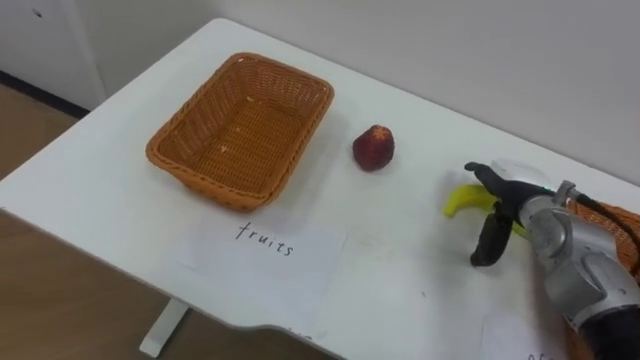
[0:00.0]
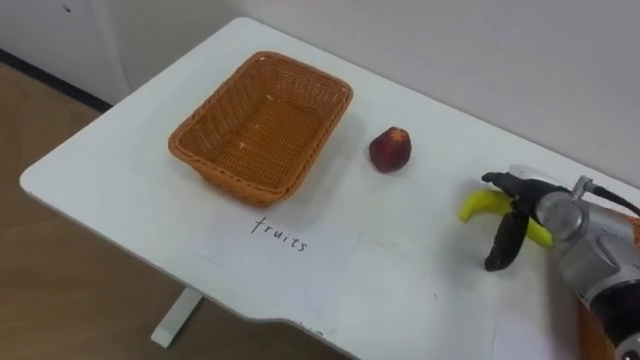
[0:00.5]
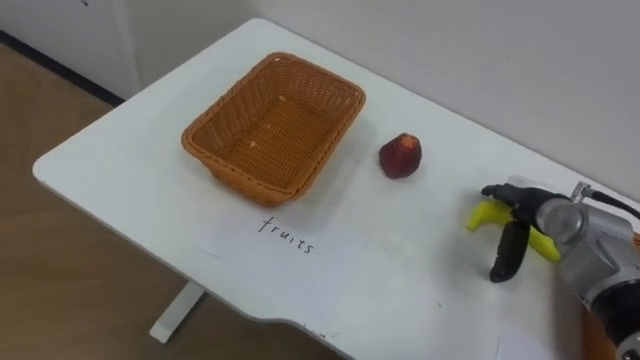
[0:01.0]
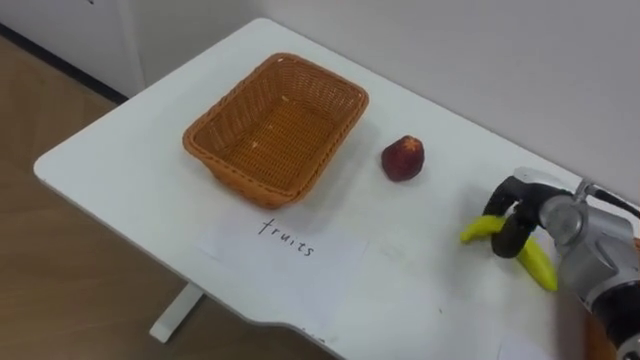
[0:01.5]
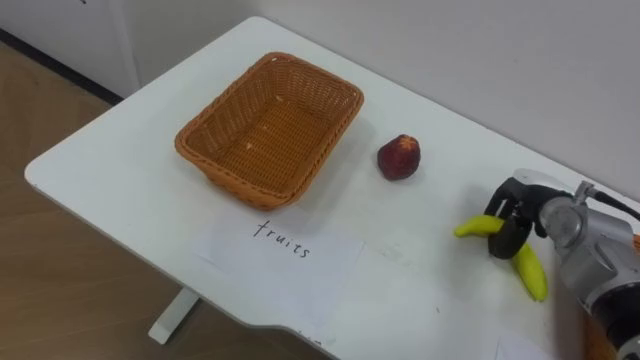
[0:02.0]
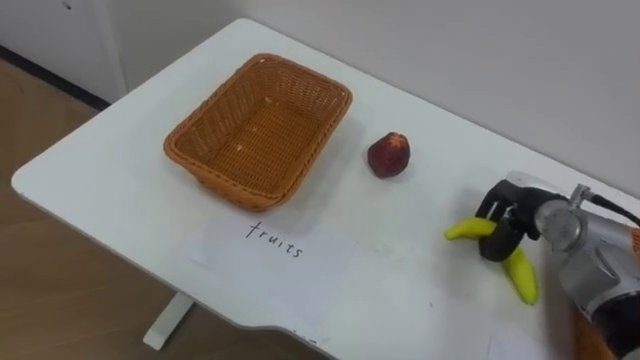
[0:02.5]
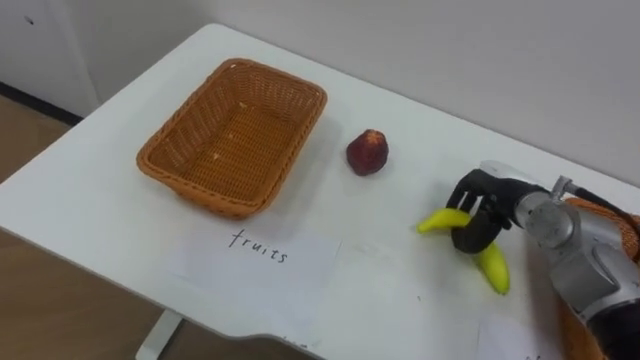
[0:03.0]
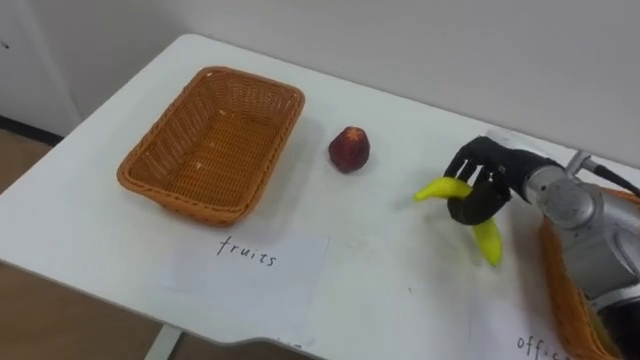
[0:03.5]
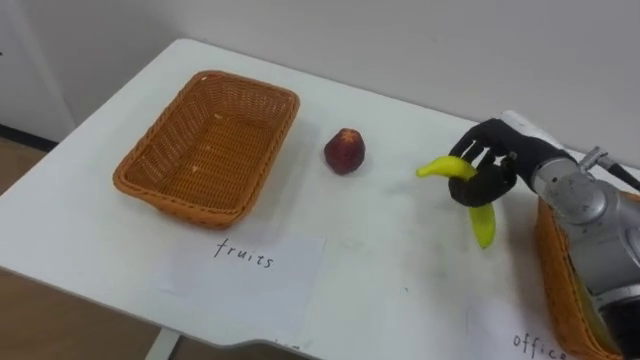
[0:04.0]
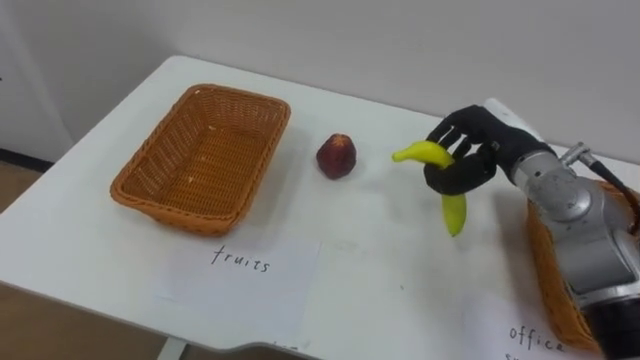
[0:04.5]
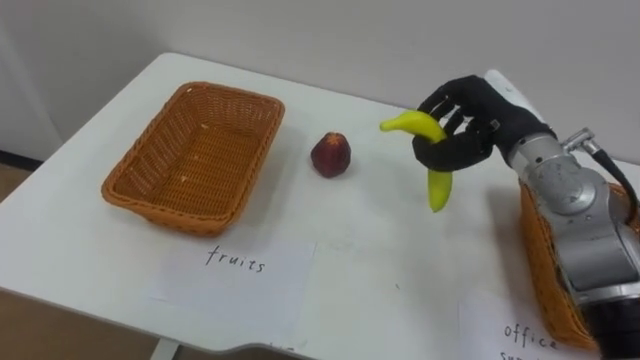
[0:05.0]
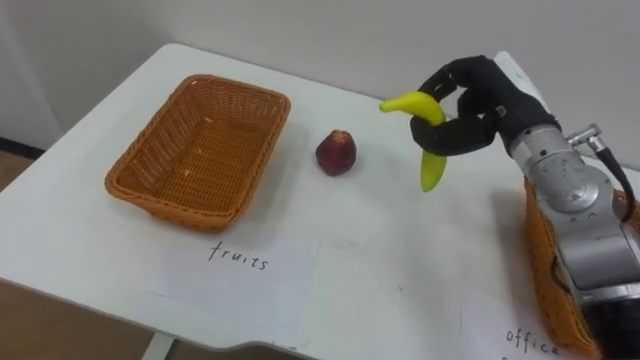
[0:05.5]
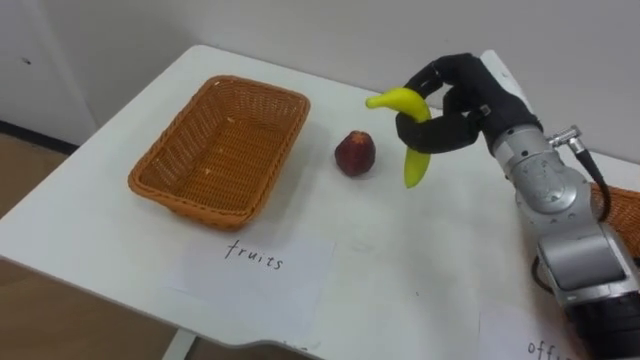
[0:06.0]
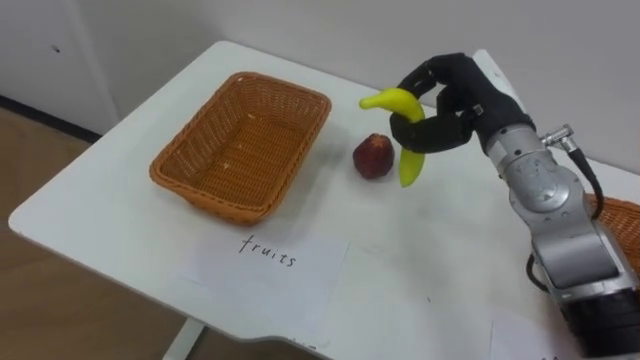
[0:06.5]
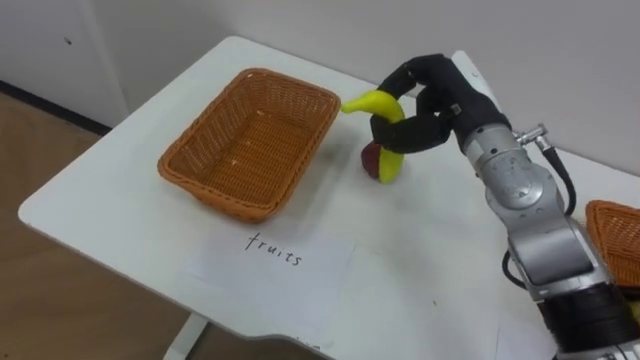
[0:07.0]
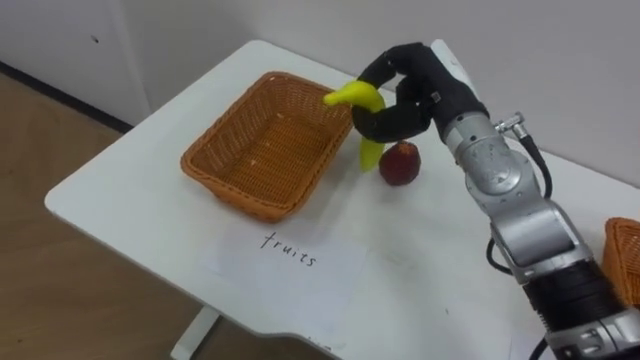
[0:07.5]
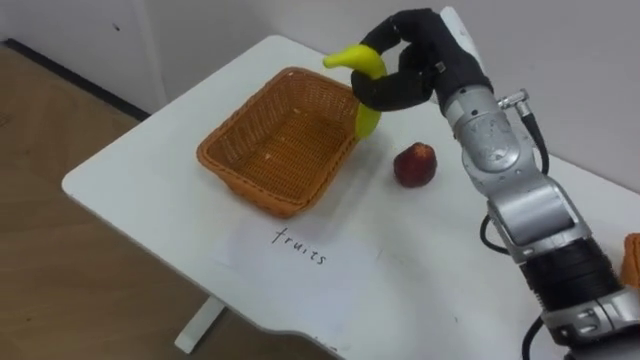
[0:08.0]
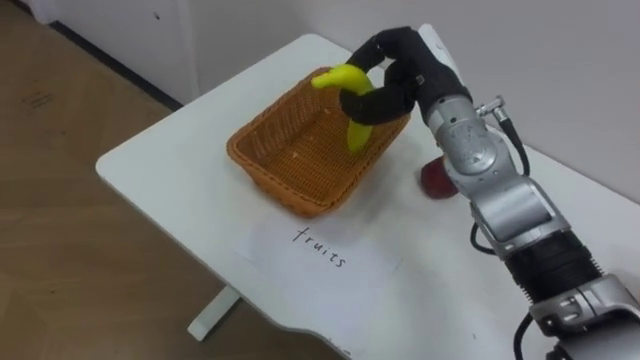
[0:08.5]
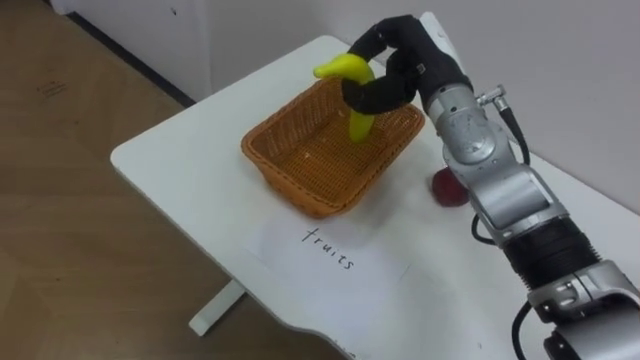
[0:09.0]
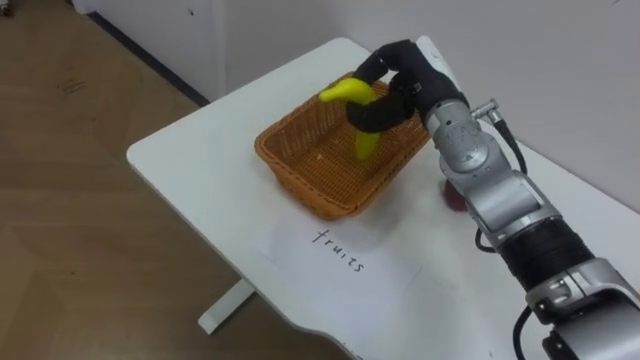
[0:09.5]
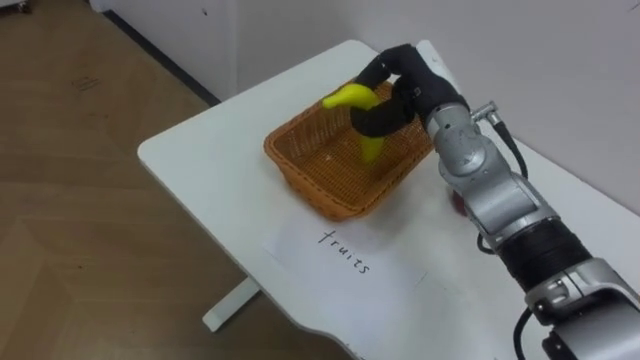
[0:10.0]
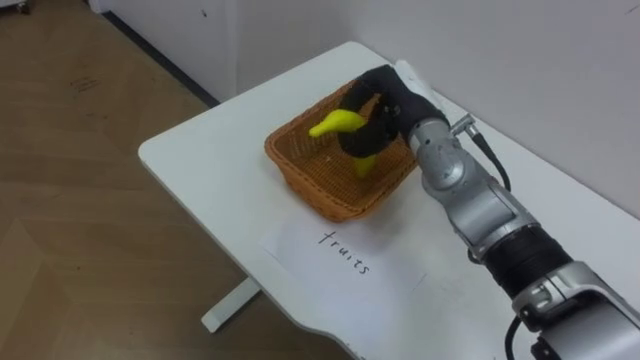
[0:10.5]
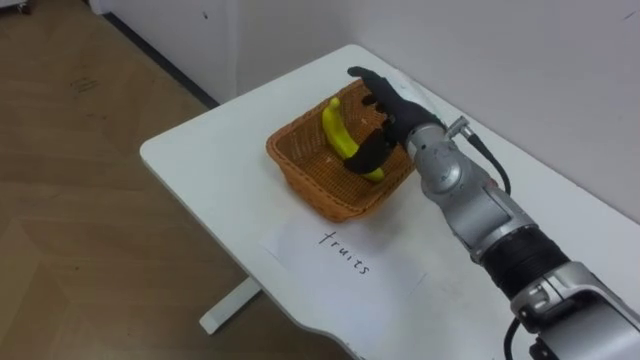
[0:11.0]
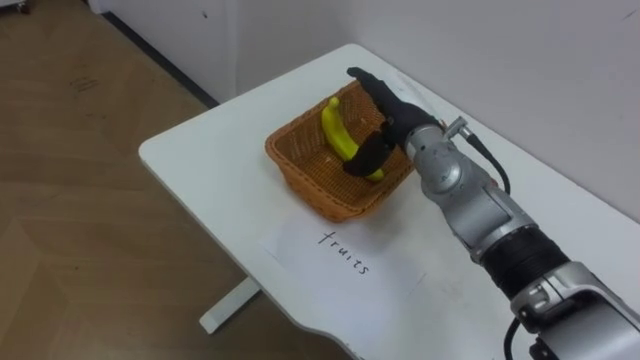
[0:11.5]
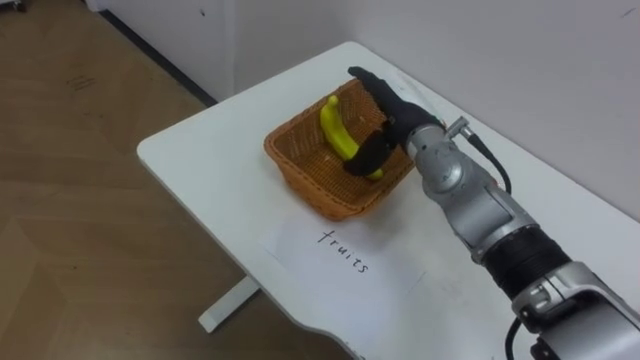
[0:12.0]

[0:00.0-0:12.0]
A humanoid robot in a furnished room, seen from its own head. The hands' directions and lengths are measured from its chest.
Task of the whole recording: Separate the items on the table and place them into the two baskets.
0:00.0 to 0:02.0: The right hand closes.
0:02.0 to 0:04.0: The right hand travels upward by some 10 cm.
0:04.0 to 0:06.0: The right hand shifts some 10 cm upward and to the left.
0:06.0 to 0:08.0: The right hand heads to the left, covering some 5 cm.
0:08.0 to 0:10.0: The right hand shifts by about 5 cm.
0:10.0 to 0:12.0: The right hand opens up.

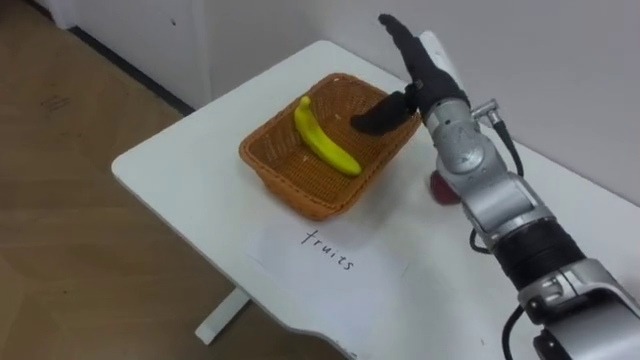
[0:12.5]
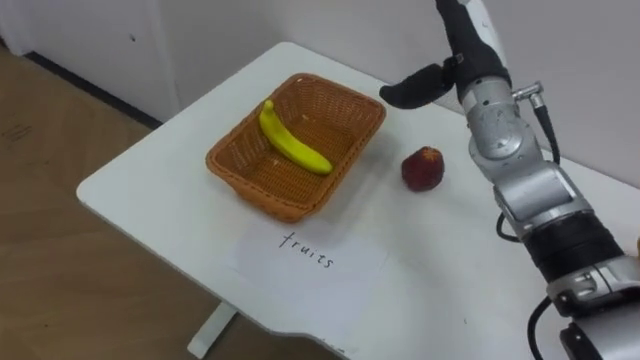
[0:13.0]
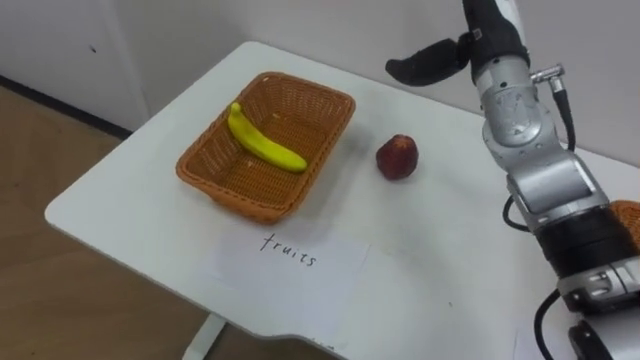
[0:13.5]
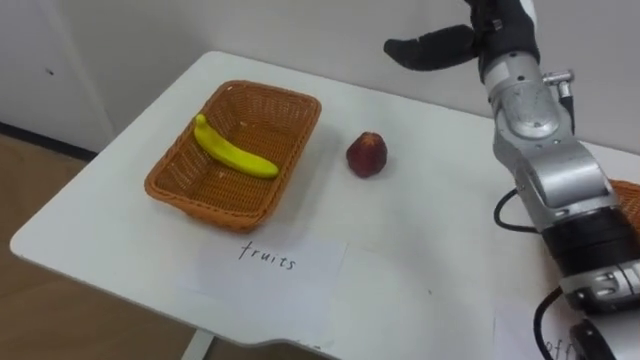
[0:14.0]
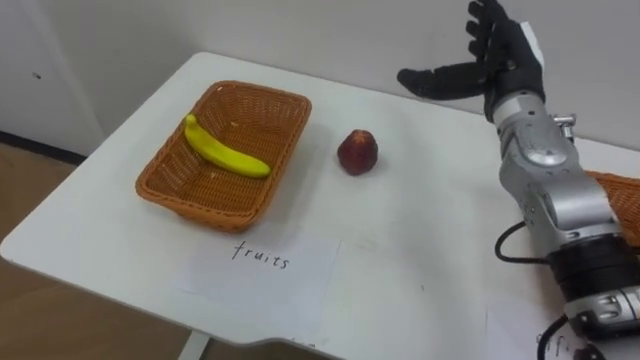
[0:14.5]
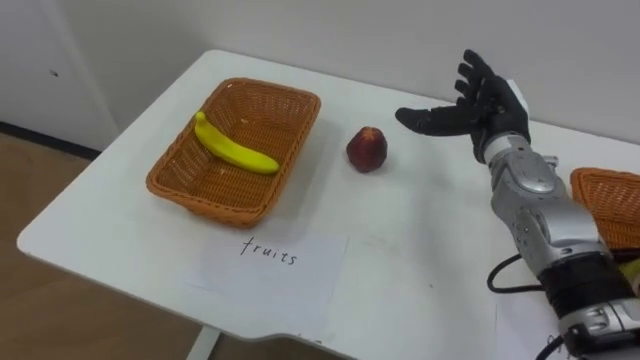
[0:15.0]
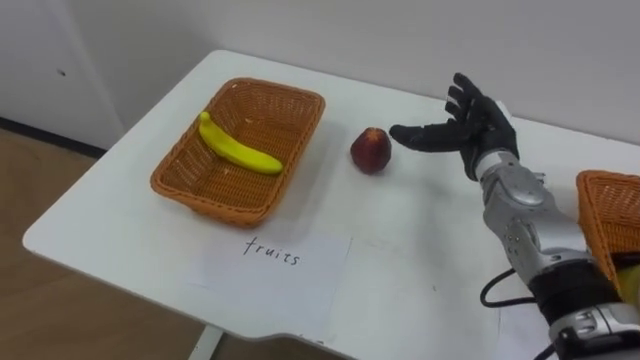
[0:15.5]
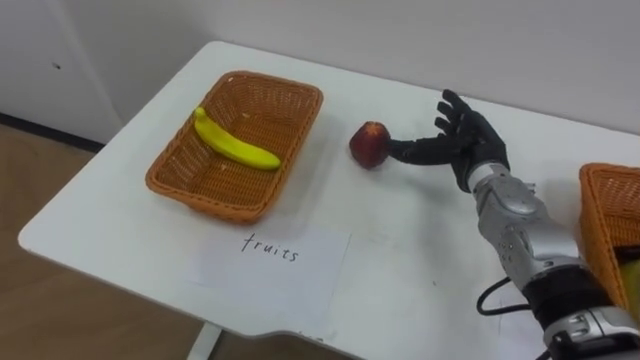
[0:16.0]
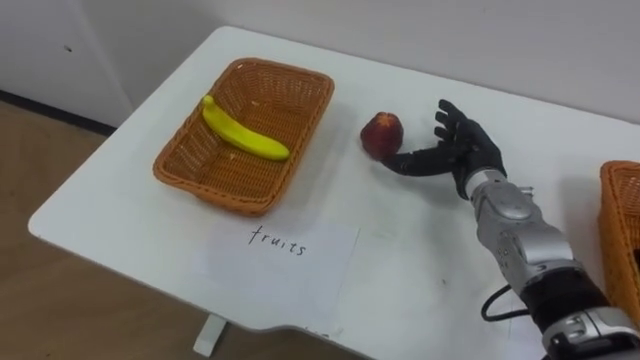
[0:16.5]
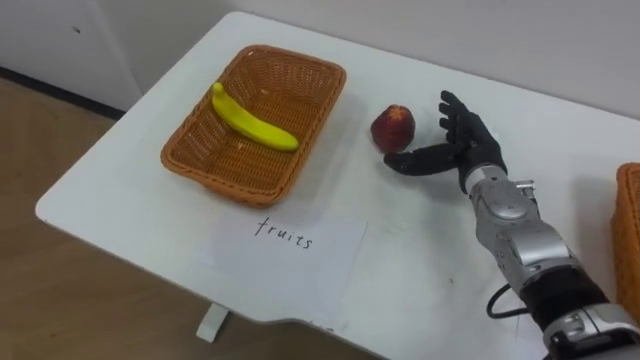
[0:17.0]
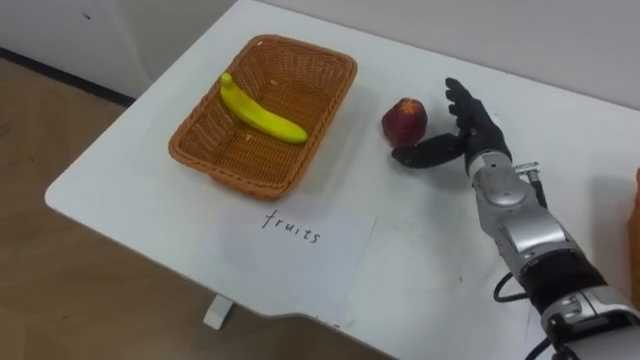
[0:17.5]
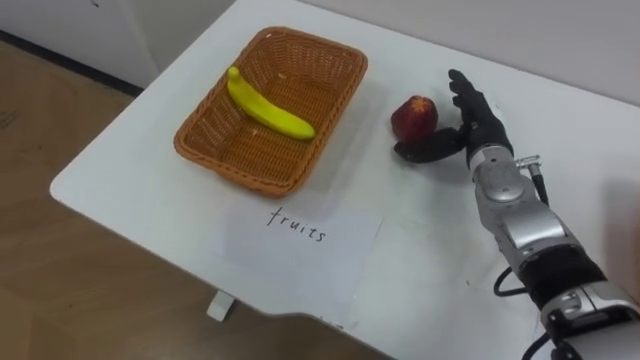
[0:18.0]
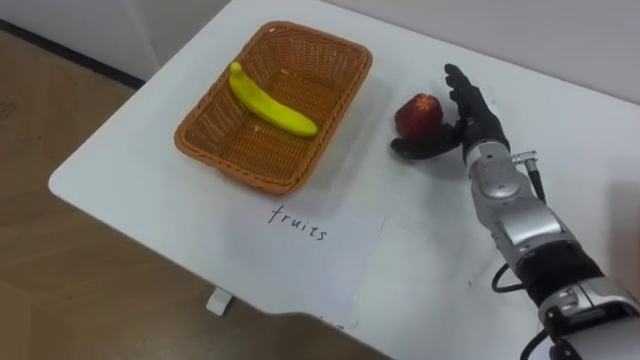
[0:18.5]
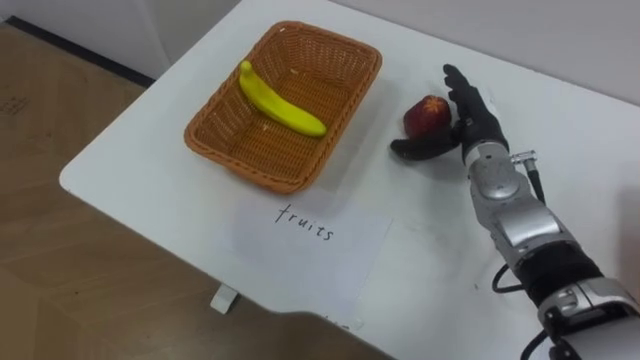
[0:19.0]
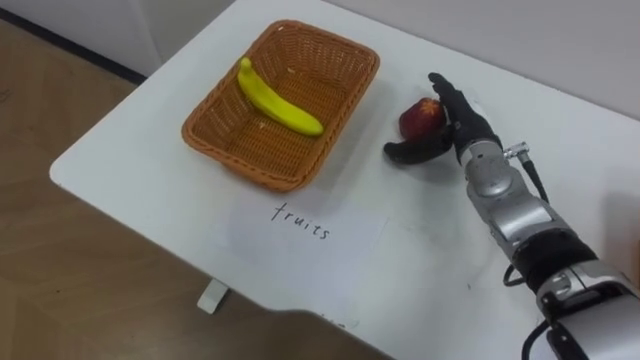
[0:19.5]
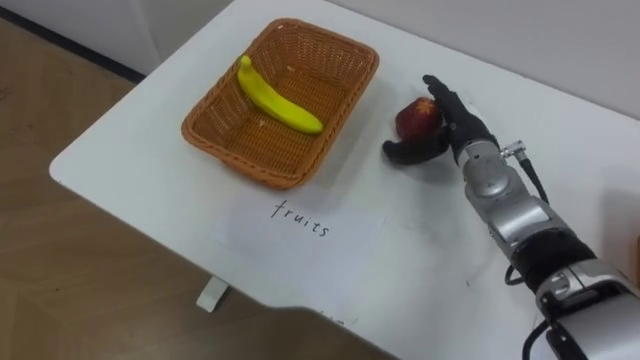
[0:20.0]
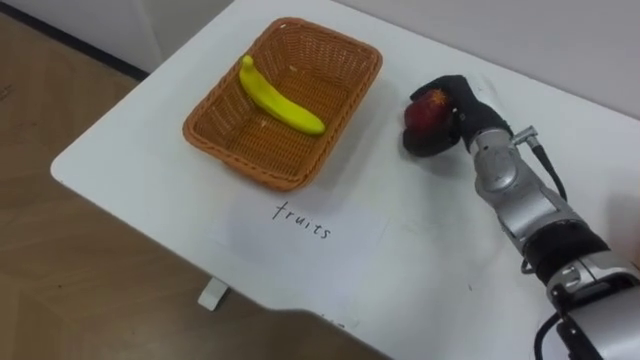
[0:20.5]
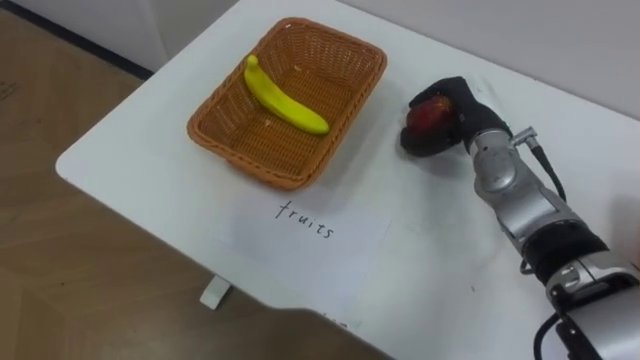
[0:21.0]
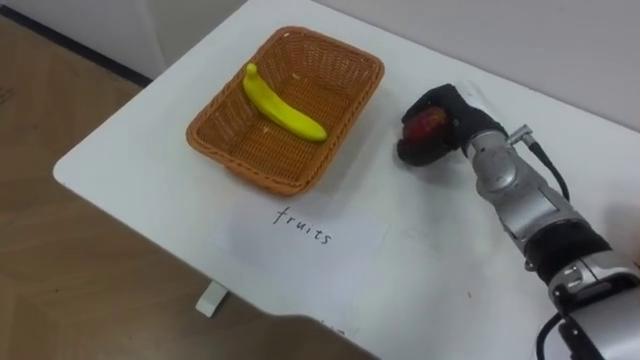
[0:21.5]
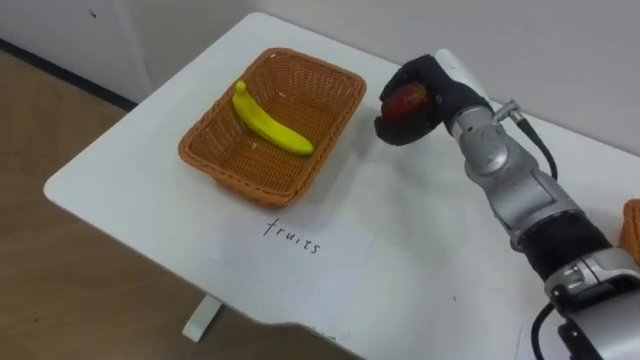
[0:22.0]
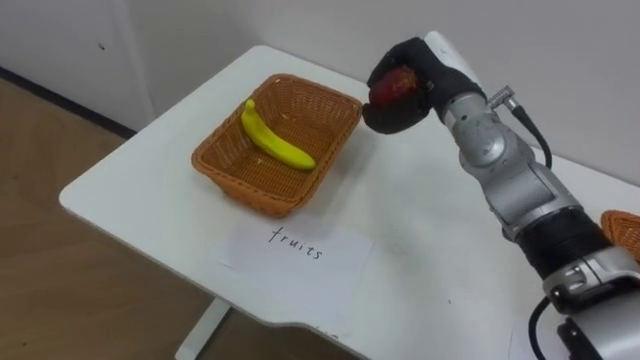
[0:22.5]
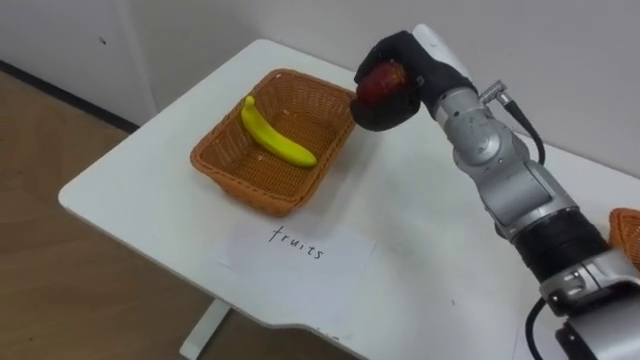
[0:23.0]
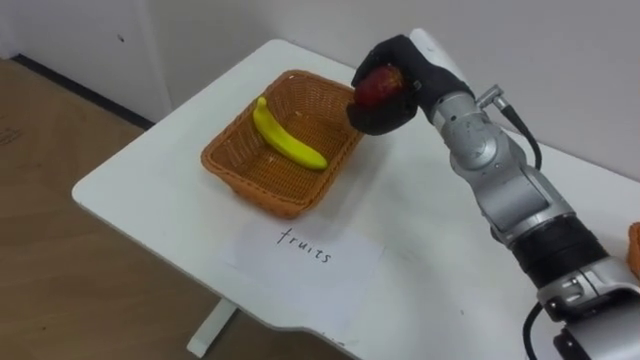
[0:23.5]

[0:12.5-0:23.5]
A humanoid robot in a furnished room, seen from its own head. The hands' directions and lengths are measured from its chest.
Task of the whole recording: Separate the items on the table and place them into the two baskets.
0:12.5 to 0:14.5: The right hand moves to the right, roughly 10 cm.
0:14.5 to 0:16.0: The right hand goes roughly 10 cm downward.
0:20.0 to 0:21.5: The right hand closes.
0:21.5 to 0:23.5: The right hand moves upward and to the left, roughly 10 cm.
